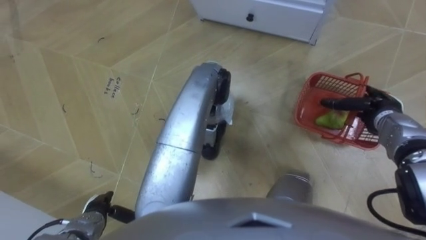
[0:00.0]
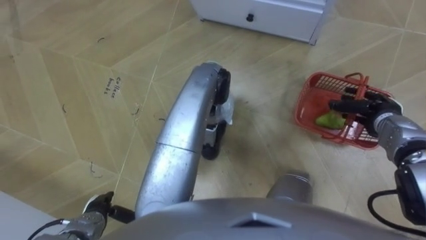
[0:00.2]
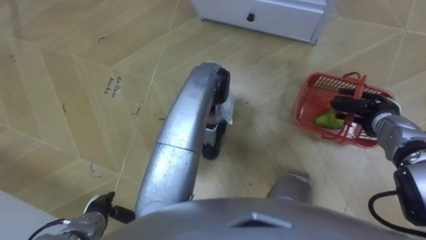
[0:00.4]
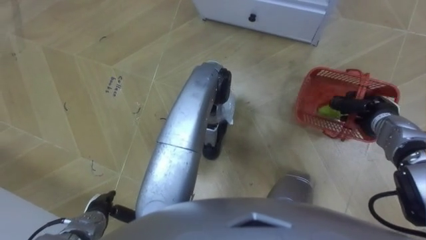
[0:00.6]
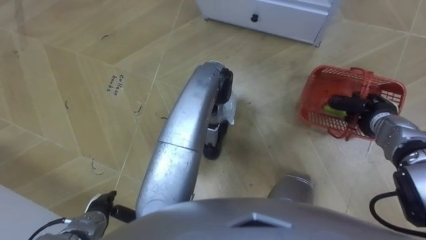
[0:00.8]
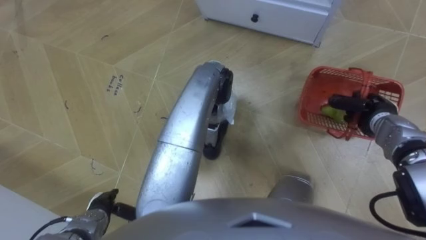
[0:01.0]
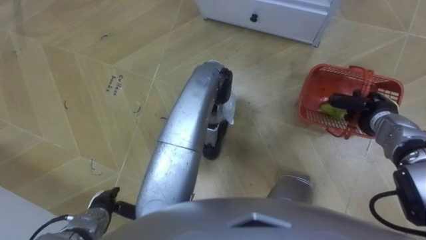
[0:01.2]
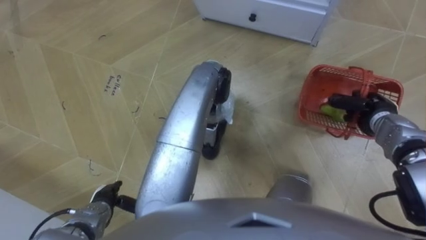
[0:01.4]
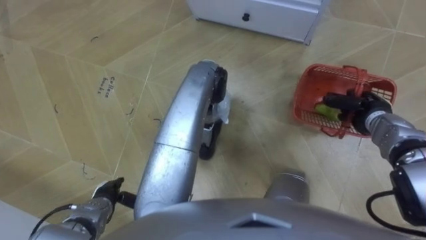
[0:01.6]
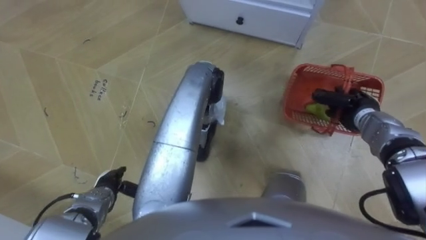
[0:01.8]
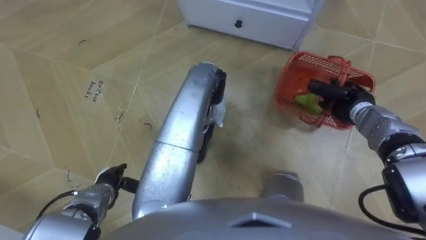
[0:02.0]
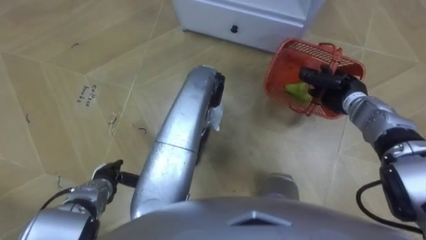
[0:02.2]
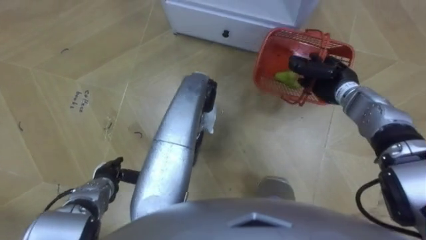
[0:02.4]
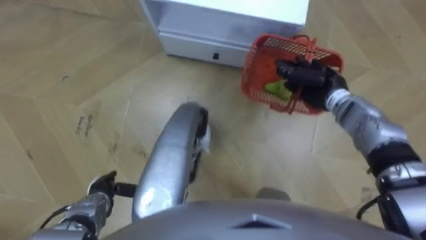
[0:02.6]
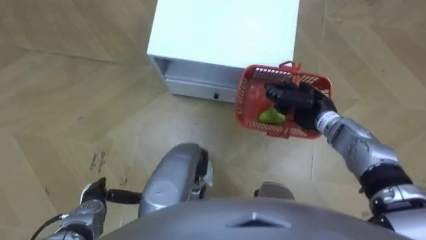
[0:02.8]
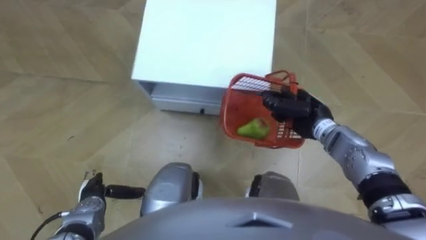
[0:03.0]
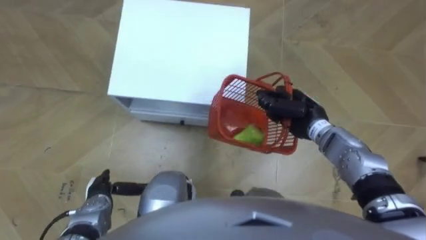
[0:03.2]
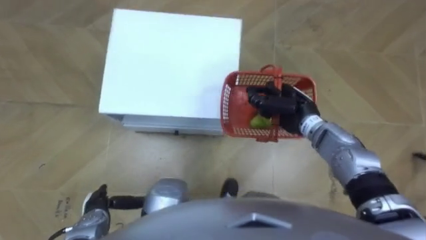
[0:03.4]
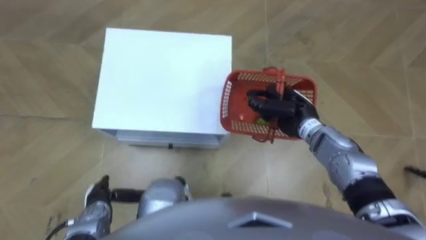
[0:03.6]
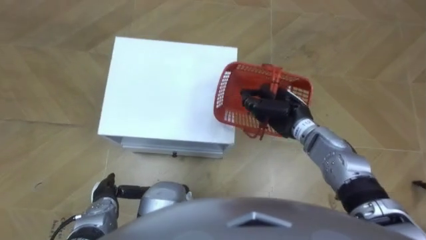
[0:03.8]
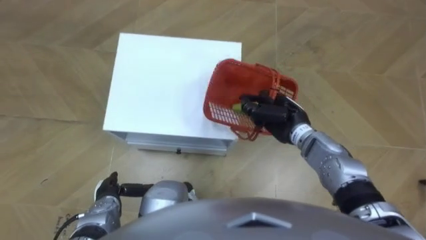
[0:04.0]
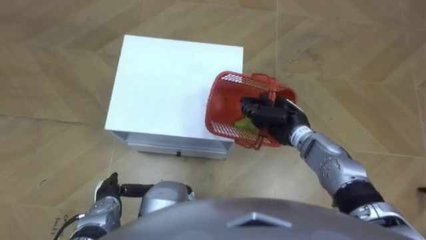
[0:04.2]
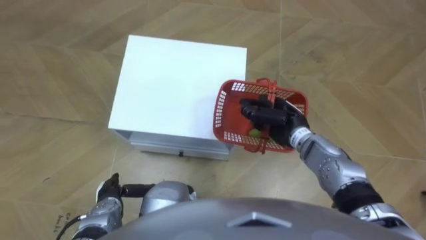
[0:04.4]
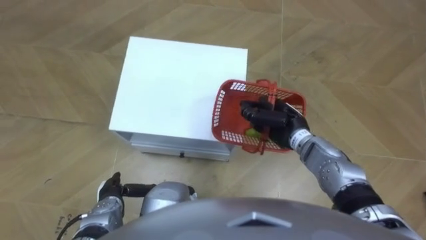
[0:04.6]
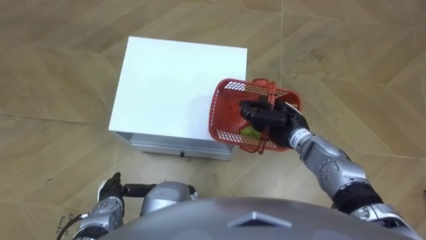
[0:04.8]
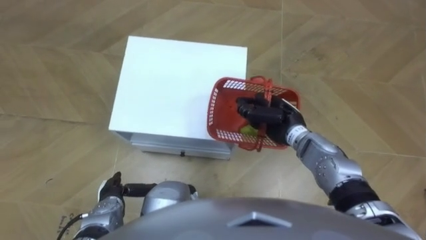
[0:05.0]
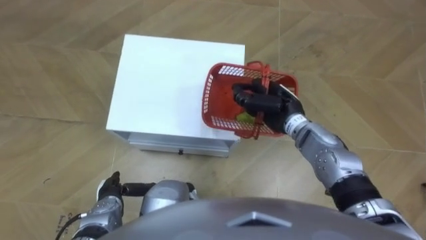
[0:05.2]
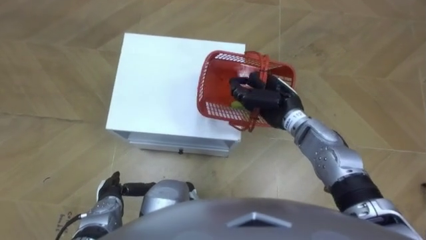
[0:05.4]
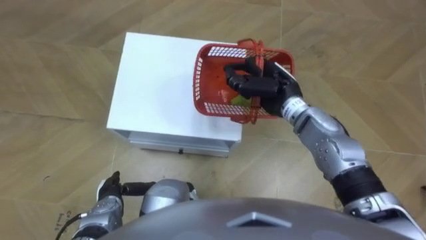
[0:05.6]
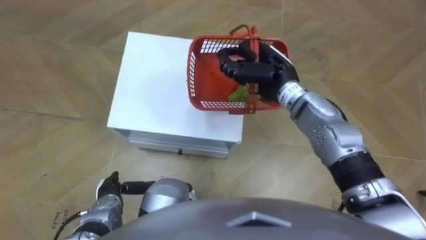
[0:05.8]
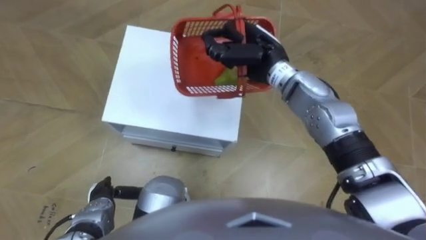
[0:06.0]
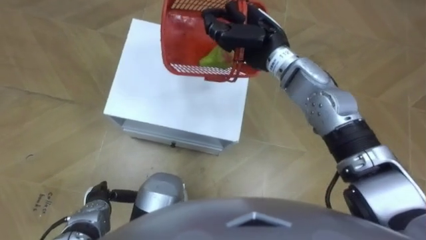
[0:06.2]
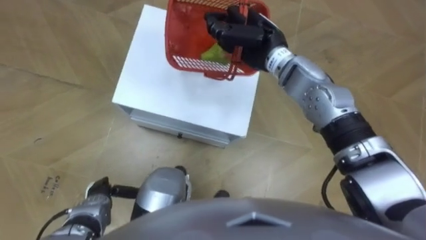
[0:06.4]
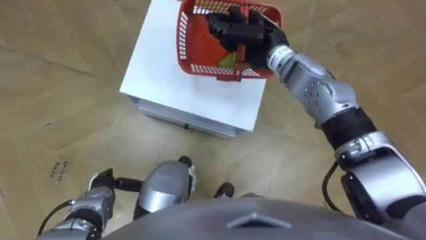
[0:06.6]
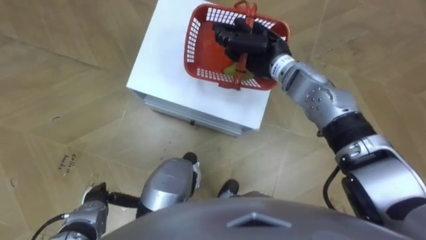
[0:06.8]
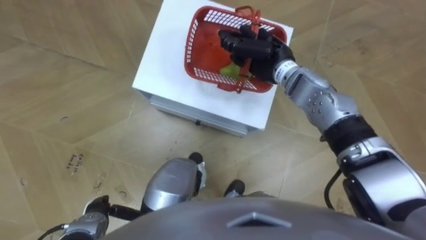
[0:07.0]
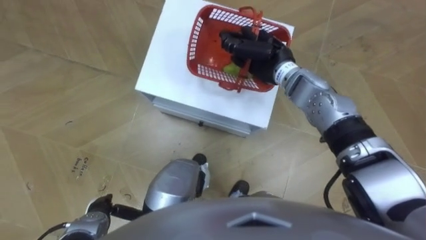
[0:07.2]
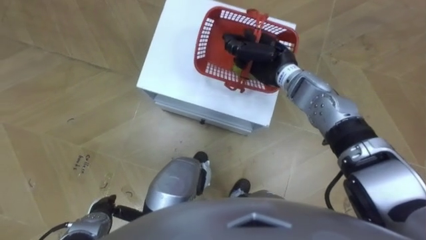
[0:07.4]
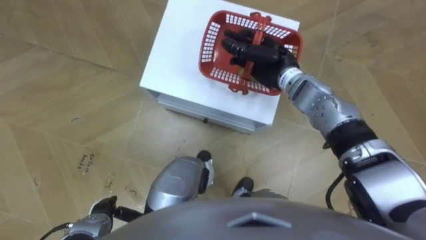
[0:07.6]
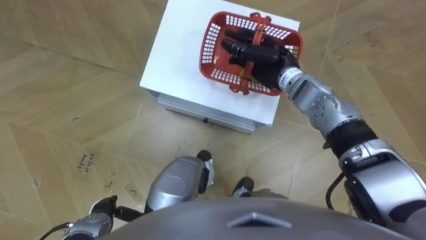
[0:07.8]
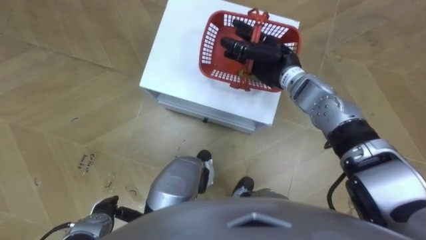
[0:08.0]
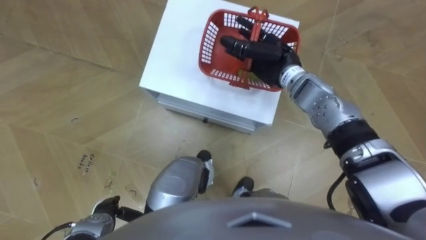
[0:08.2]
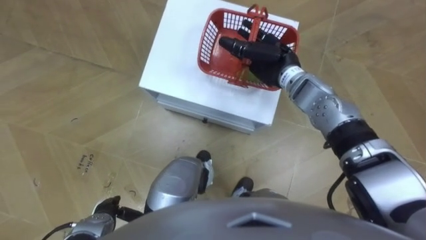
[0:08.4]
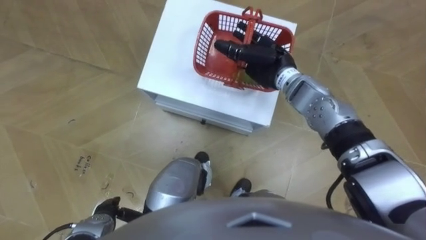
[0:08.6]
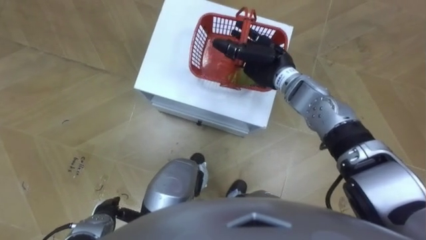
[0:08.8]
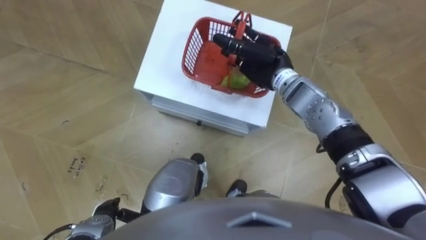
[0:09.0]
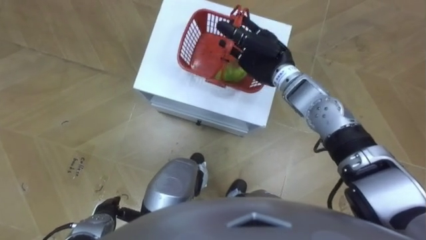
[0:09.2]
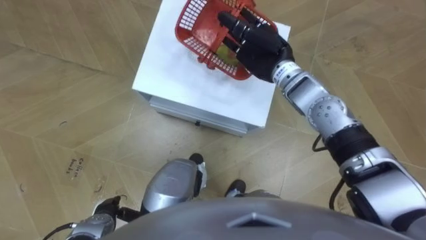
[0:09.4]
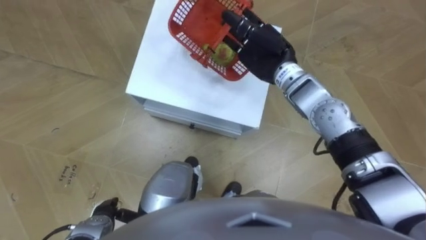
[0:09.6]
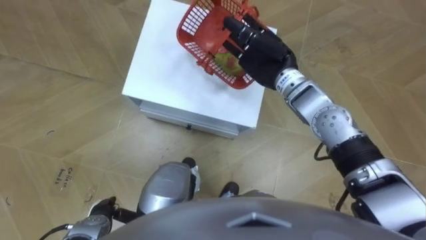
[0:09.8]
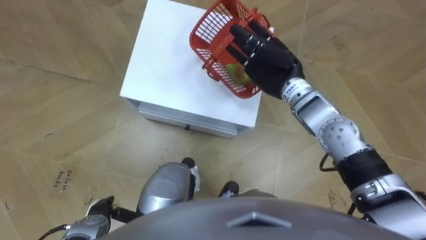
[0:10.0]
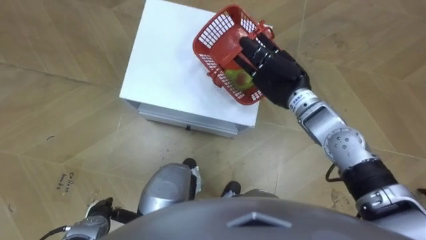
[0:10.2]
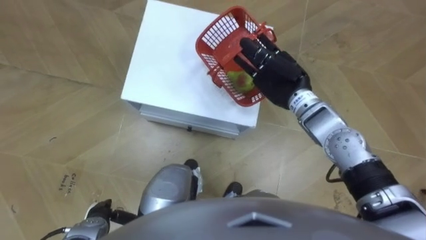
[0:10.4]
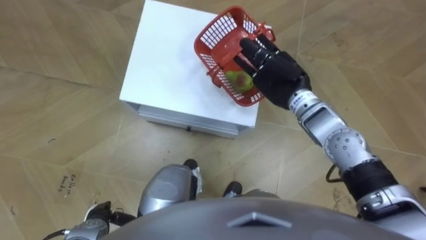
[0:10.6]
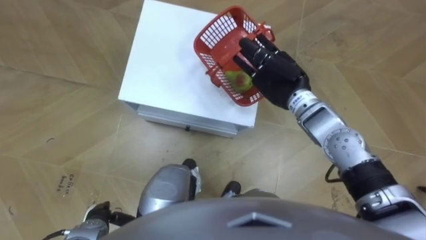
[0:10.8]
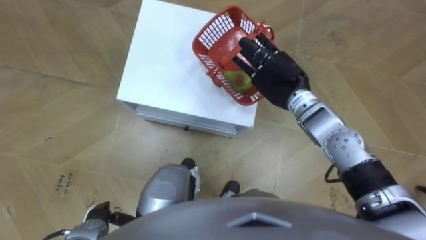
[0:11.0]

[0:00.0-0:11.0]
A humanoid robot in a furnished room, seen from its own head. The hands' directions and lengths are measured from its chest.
Task of the whole recording: Pick up the fruit basket from the floor and place it on the cabinet.
0:00.0 to 0:01.6: The right hand closes its fingers.
0:01.6 to 0:03.2: The right hand moves to the left, some 15 cm.
0:04.8 to 0:06.2: The right hand is displaced upward, forward and to the left by some 20 cm.
0:06.2 to 0:07.8: The right hand is displaced downward by some 5 cm, and opens up.
0:07.8 to 0:09.4: The right hand opens its fingers.
0:09.4 to 0:11.0: The right hand ends up roughly 5 cm from where it was.

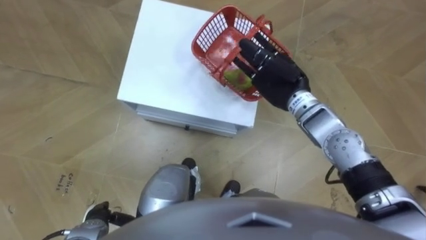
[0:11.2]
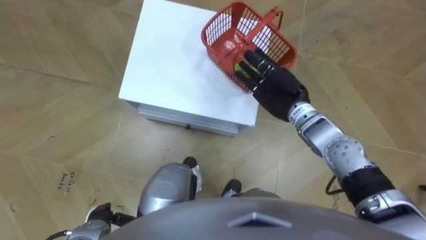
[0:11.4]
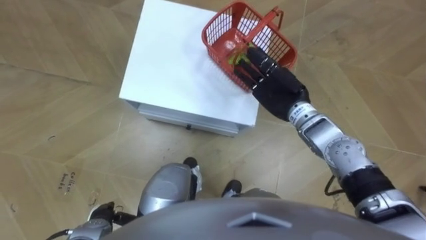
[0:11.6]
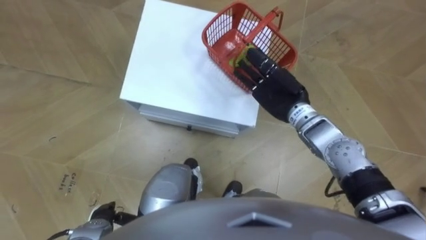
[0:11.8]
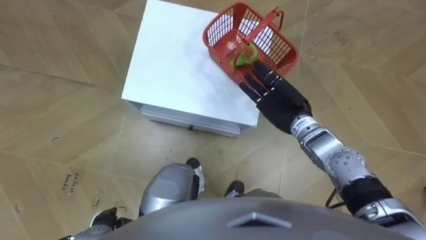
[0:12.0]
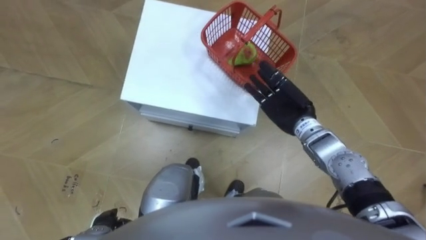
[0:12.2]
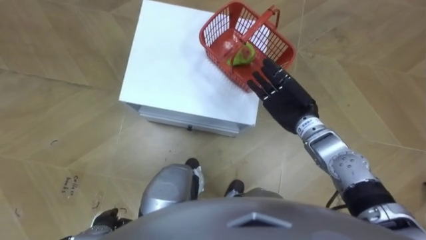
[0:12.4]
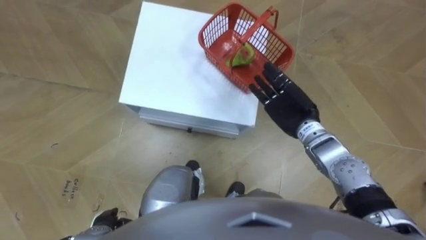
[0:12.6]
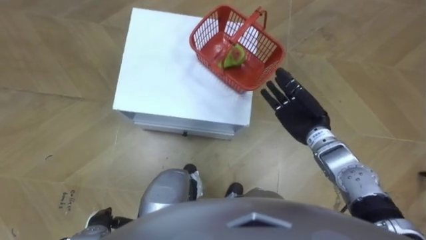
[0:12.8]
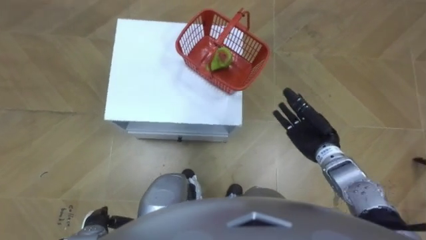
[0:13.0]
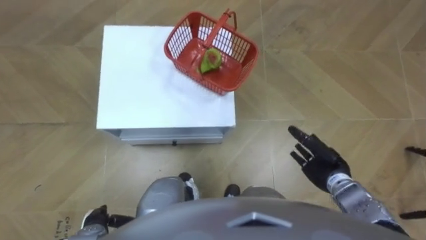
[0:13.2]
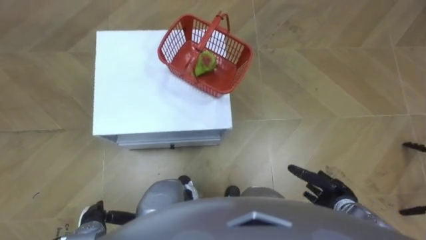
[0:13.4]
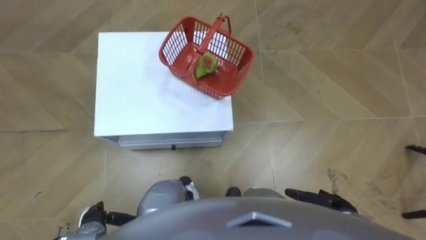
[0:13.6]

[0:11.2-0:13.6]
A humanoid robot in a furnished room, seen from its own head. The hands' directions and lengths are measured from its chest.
Task of the whole recording: Pick up the fruit basket from the floor and place it on the cabinet.
0:11.2 to 0:12.4: The right hand moves approximately 5 cm.
0:12.4 to 0:13.6: The right hand moves backward, downward and to the right, roughly 30 cm.

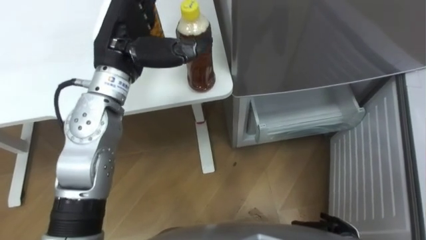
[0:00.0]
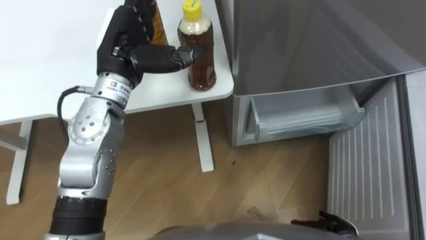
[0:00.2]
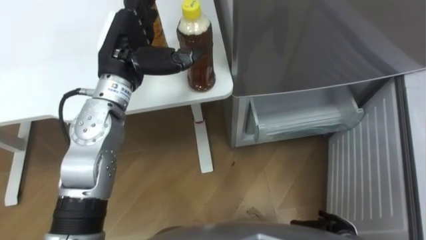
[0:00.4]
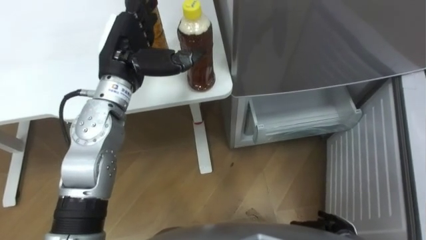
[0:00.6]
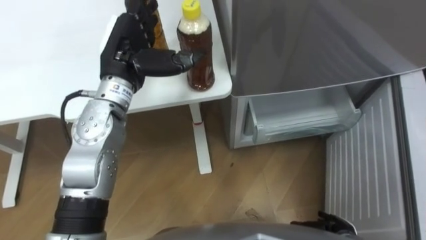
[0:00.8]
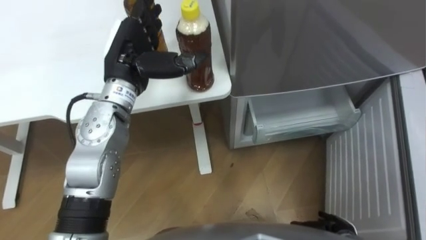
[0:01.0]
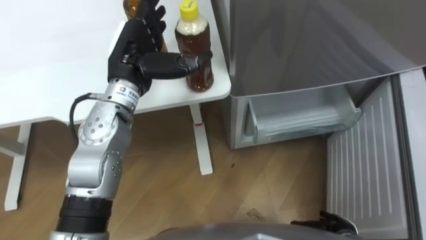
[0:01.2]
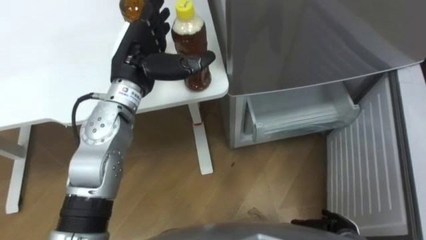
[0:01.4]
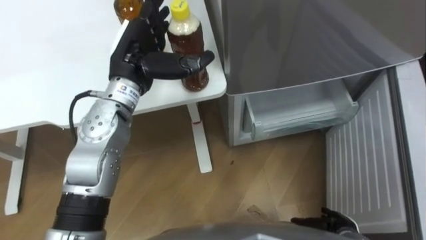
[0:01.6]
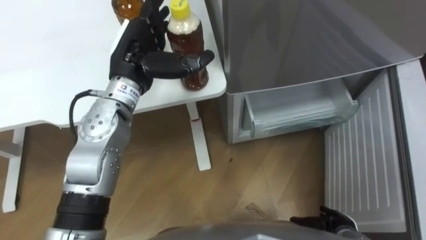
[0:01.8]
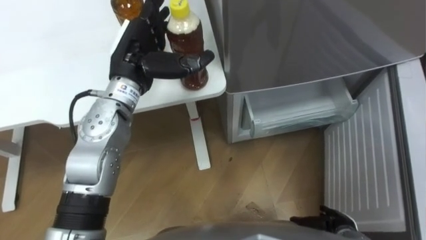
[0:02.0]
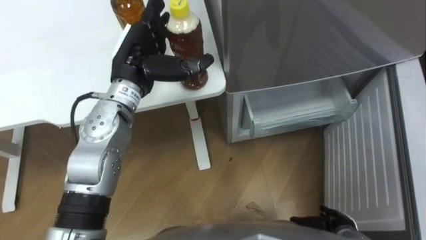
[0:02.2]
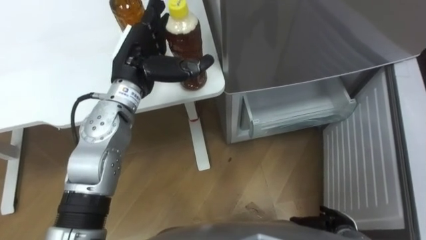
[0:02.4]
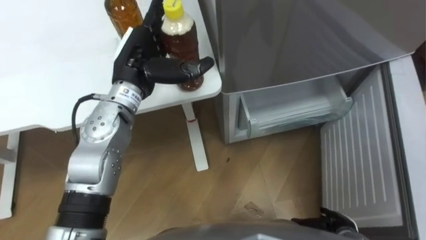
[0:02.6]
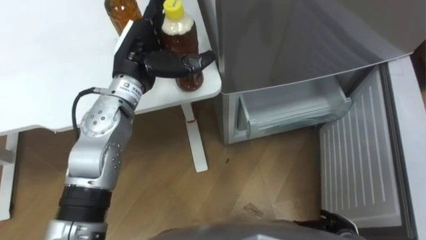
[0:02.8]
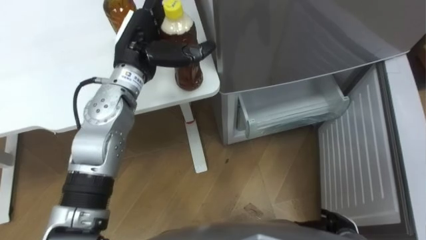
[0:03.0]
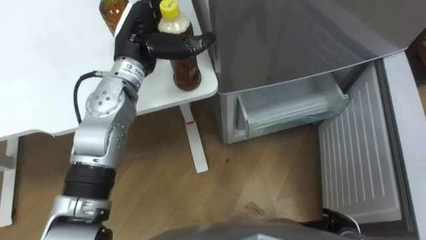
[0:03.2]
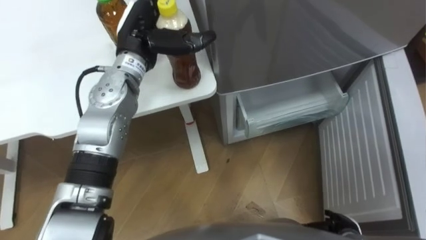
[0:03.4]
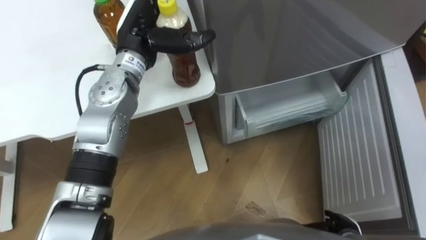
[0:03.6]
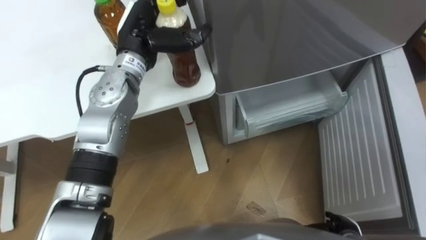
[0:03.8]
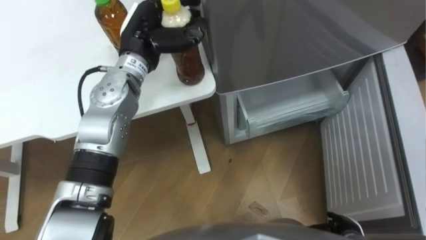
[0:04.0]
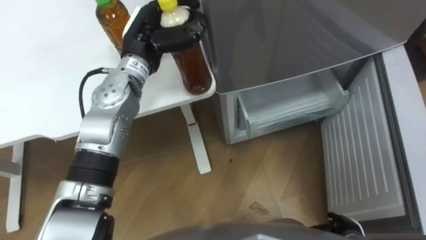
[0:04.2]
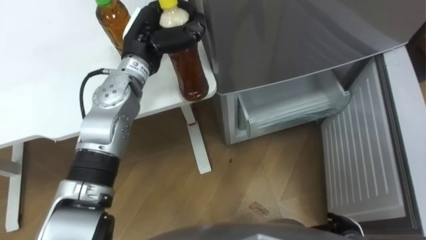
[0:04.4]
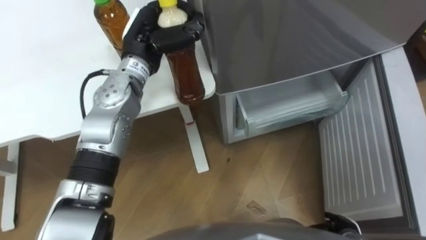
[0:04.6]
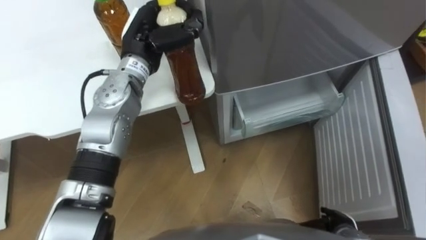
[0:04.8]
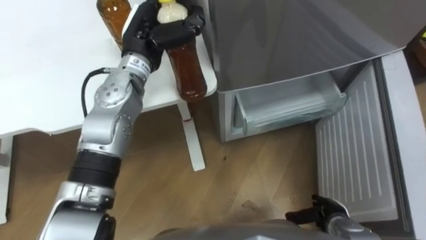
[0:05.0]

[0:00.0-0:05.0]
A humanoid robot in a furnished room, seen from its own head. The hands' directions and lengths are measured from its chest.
Task of the whole recording: Place the drink on the table on the bottom shelf of the refrigerator, then close the drawer and the refrigerator door.
0:00.0 to 0:01.6: The left hand travels downward by about 5 cm.
0:03.4 to 0:05.0: The left hand closes.
